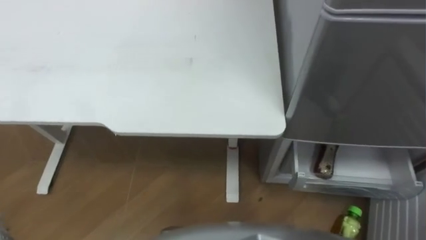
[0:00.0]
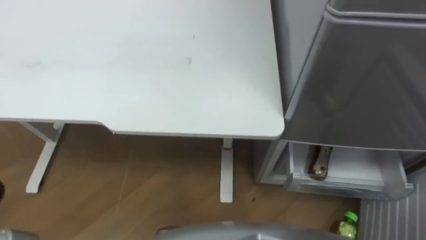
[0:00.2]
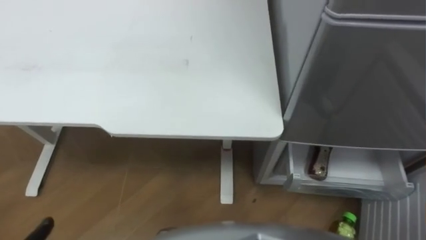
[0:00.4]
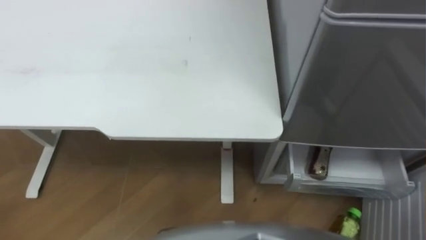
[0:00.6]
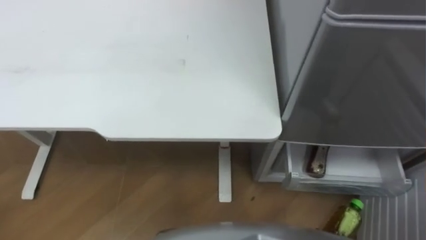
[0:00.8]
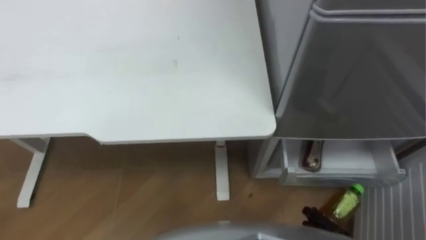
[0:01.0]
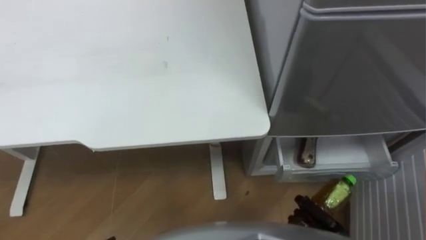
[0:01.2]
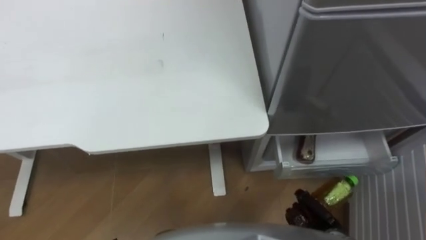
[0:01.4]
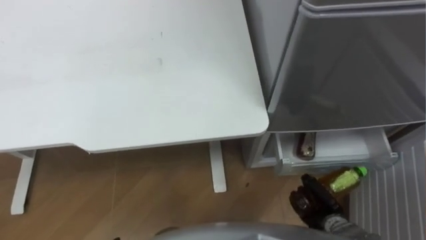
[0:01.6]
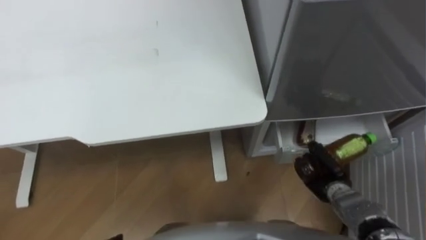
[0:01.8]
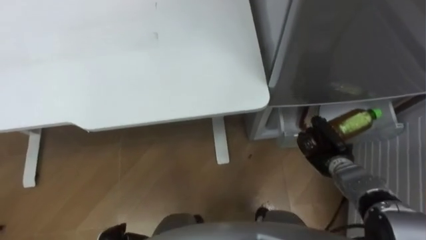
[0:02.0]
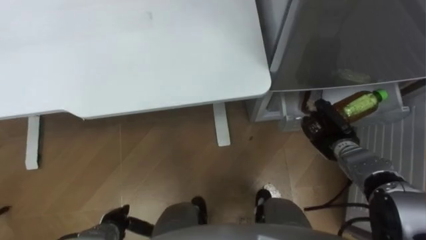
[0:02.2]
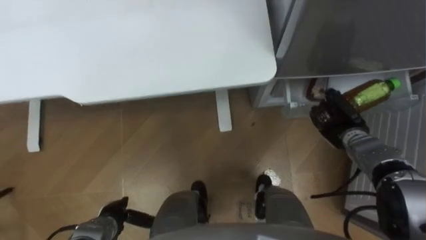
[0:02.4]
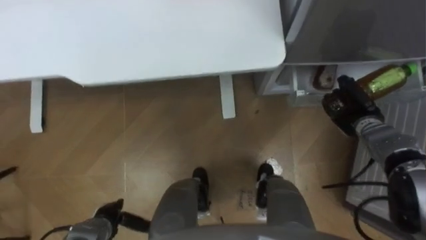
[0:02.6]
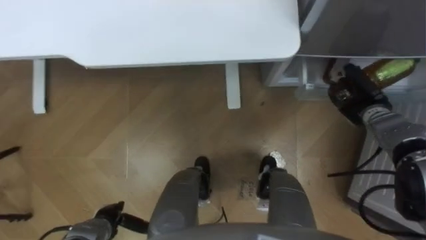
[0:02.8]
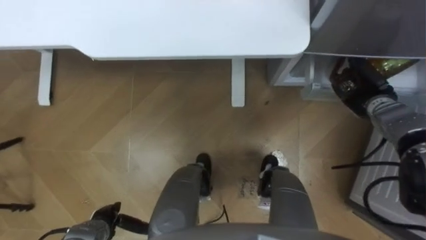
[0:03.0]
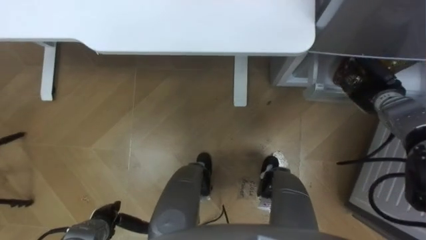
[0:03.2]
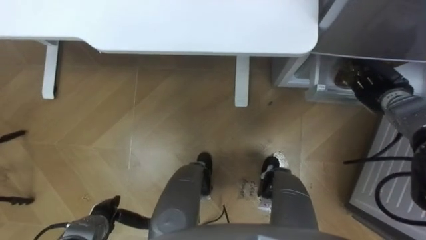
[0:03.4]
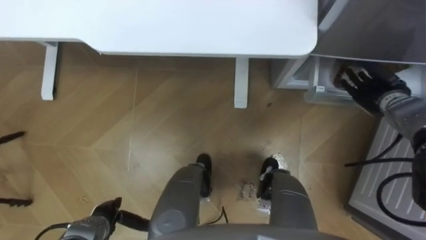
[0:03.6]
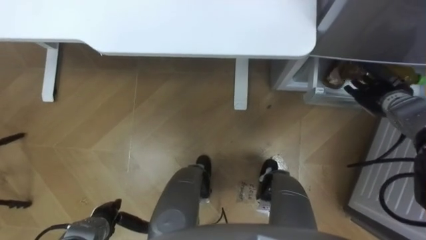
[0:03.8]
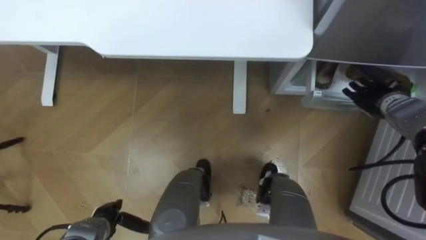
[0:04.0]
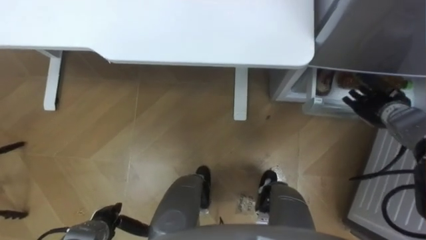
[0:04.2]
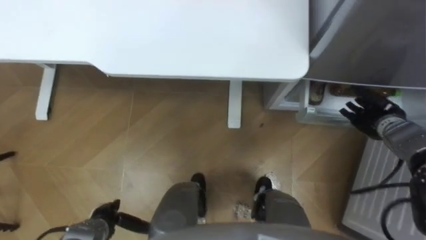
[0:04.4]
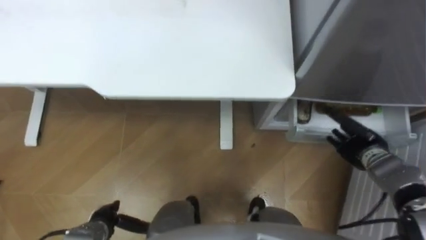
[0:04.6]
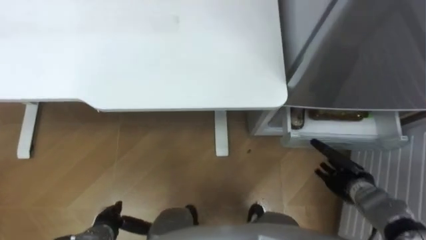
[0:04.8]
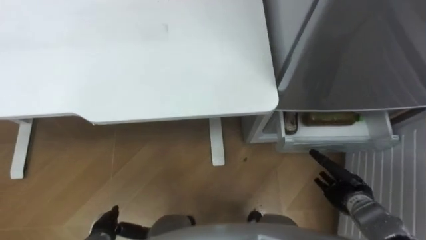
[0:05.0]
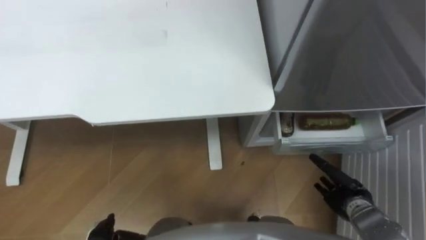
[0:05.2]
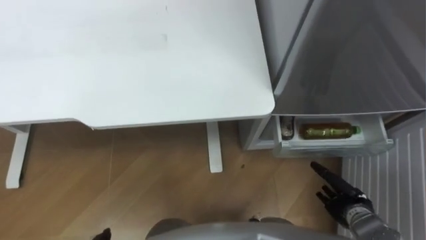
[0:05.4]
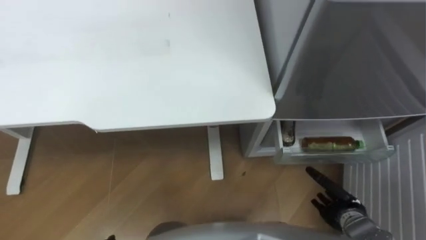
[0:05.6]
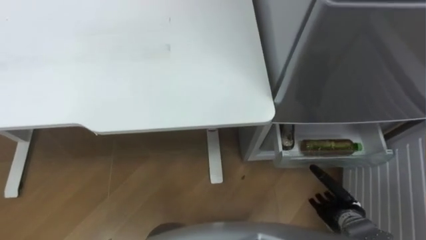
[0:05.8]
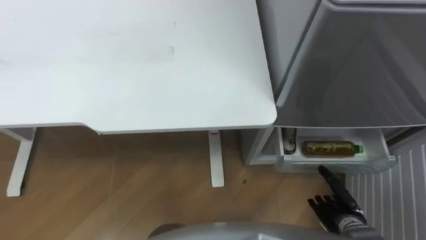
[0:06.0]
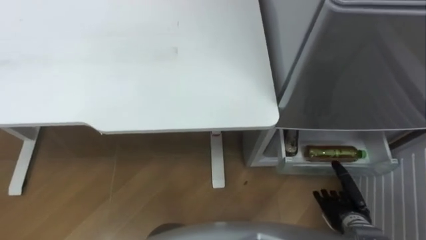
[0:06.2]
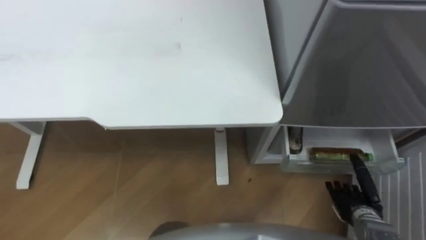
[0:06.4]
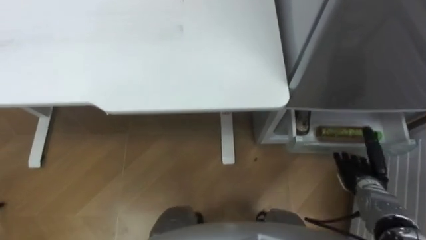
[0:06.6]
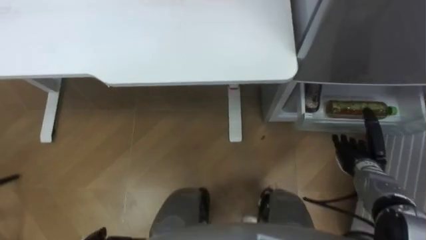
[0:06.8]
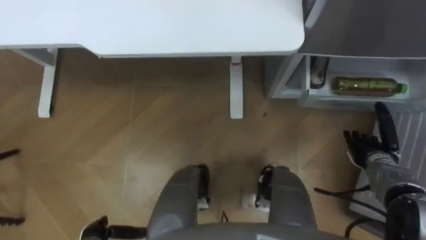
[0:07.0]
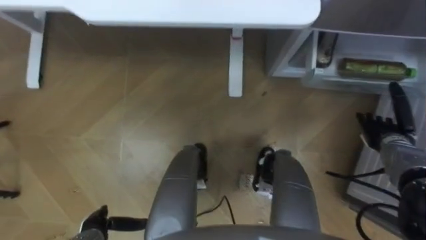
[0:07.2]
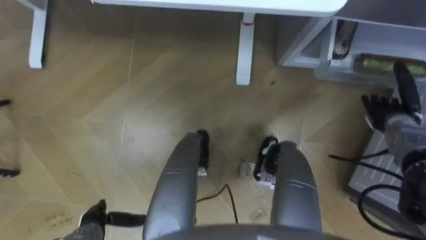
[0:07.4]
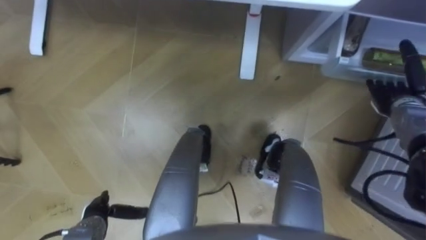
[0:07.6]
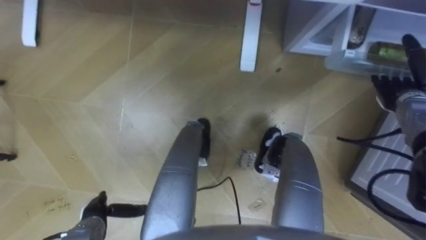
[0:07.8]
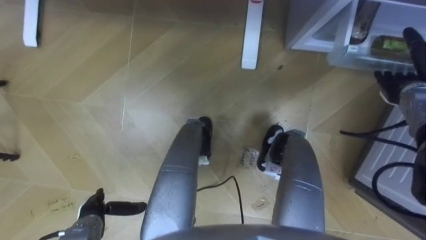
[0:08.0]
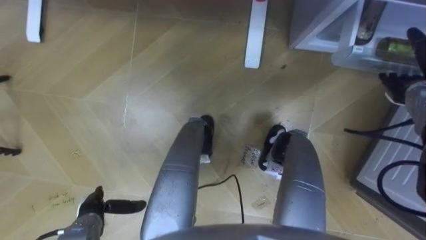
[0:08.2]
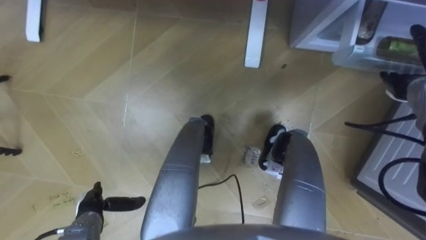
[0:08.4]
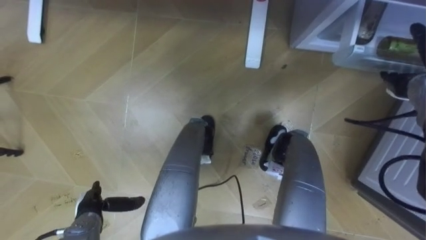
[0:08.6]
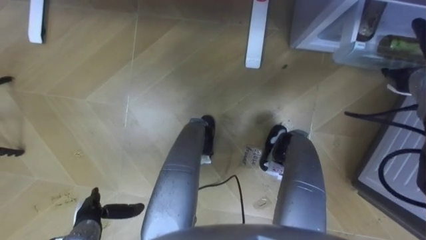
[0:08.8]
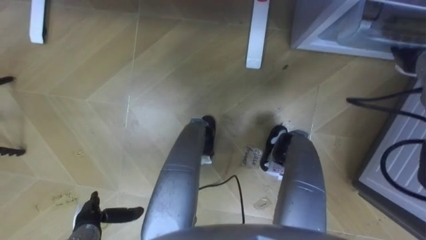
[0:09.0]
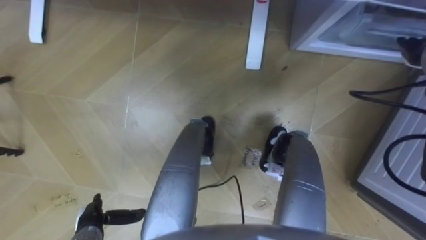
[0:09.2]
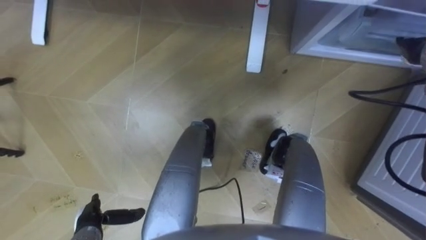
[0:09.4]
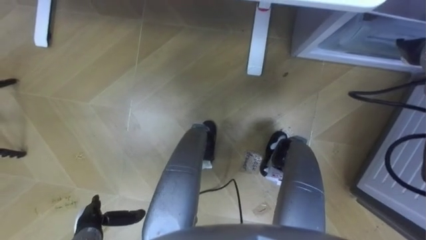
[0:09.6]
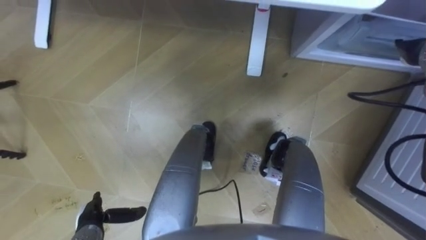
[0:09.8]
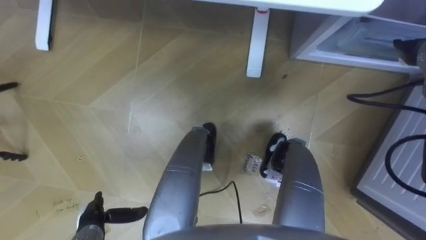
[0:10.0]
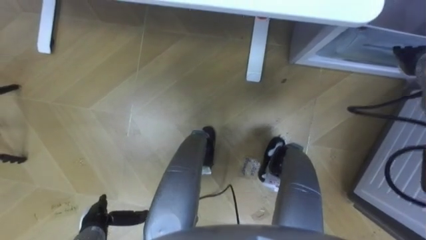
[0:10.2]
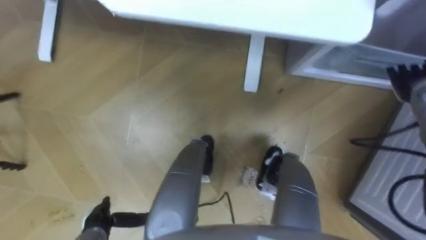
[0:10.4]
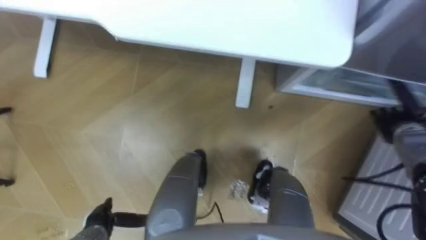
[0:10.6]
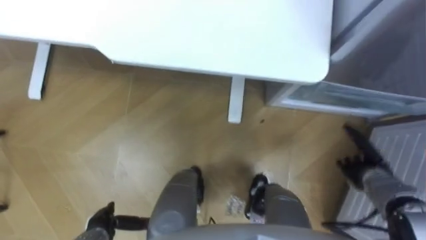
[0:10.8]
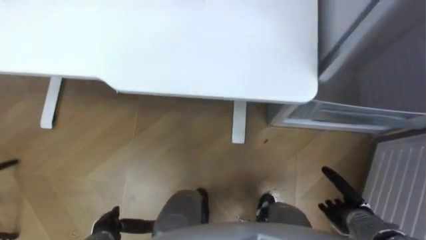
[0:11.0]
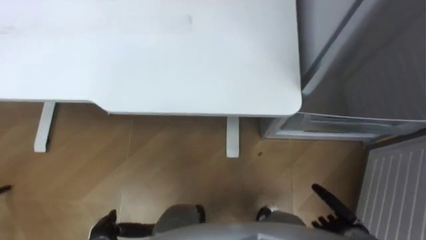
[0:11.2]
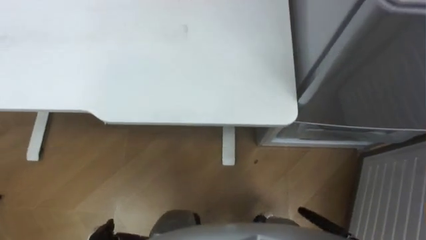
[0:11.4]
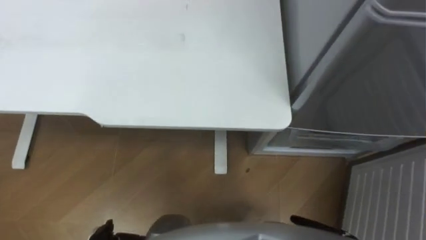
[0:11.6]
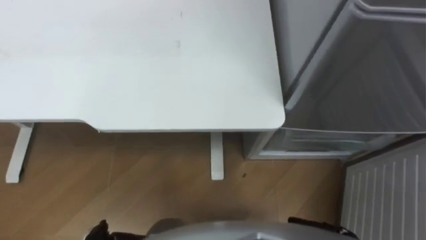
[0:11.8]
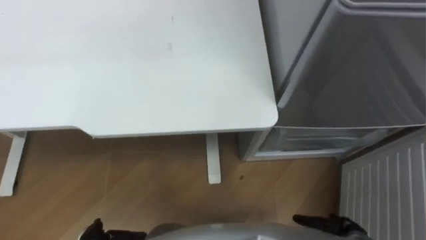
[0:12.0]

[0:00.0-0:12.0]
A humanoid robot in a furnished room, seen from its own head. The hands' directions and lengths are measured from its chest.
Task of the whole recording: Place the drink on the table on the bottom shelf of the refrigerator, then close the drawer and the refrigerator door.
0:01.6 to 0:03.0: The right hand heads forward and upward, covering some 30 cm.
0:03.0 to 0:04.4: The right hand opens.
0:04.4 to 0:06.0: The right hand moves backward and downward, approximately 25 cm.
0:06.0 to 0:07.6: The right hand heads forward, upward and to the right, covering about 30 cm.
0:07.6 to 0:09.0: The right hand goes roughly 10 cm upward.
0:09.0 to 0:10.4: The right hand moves roughly 5 cm.

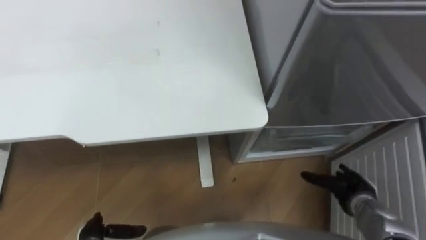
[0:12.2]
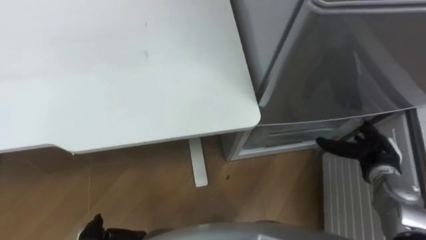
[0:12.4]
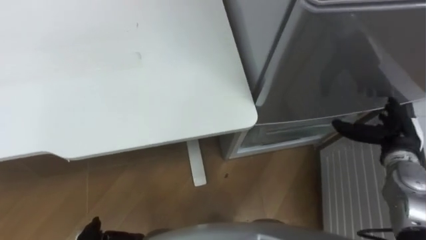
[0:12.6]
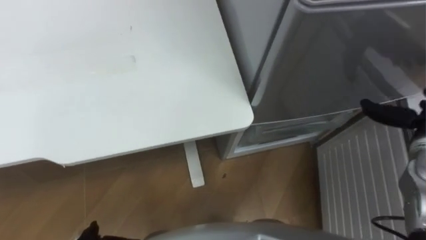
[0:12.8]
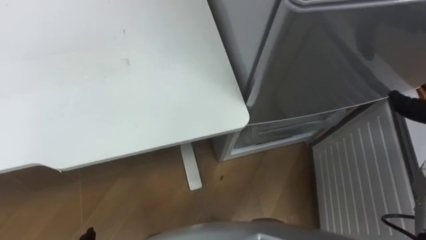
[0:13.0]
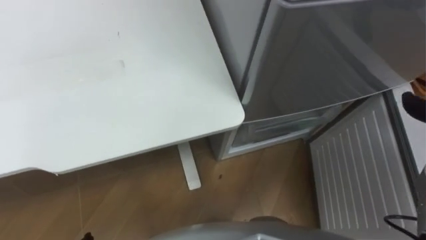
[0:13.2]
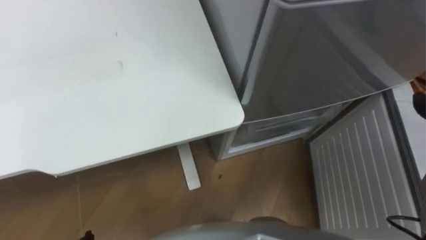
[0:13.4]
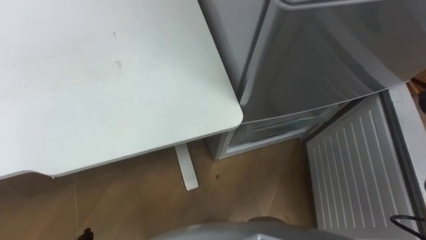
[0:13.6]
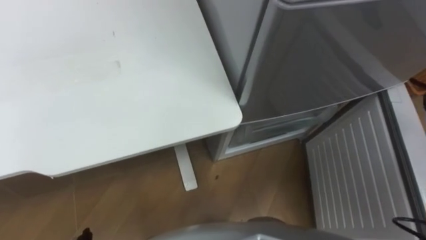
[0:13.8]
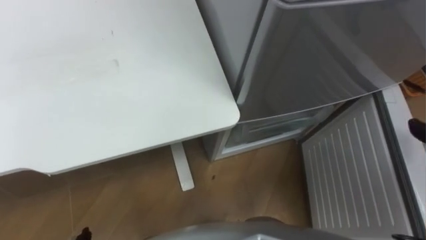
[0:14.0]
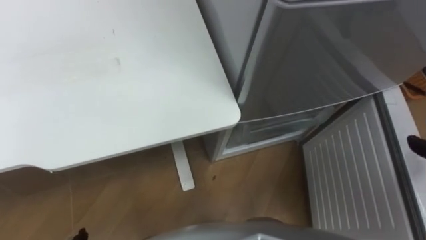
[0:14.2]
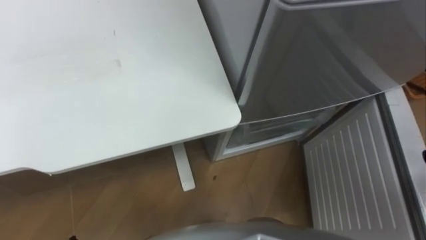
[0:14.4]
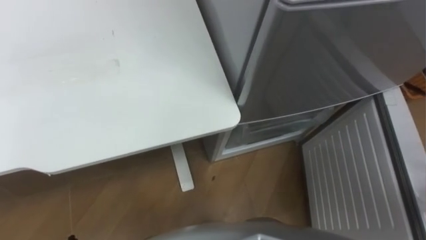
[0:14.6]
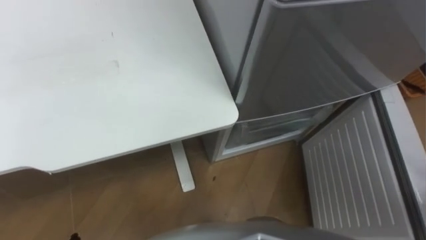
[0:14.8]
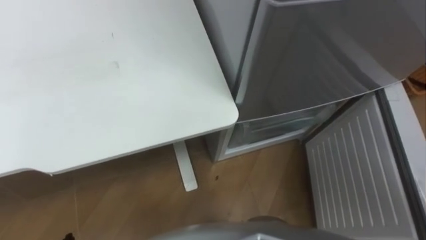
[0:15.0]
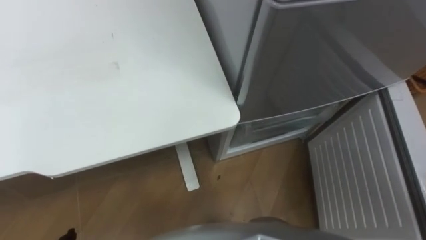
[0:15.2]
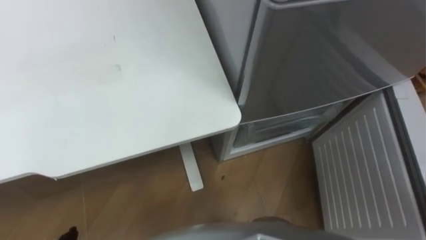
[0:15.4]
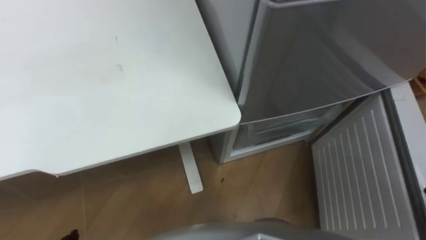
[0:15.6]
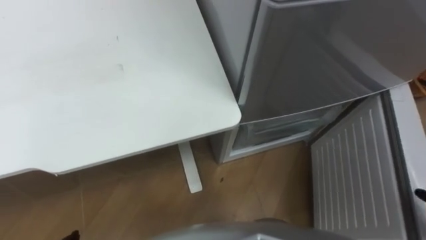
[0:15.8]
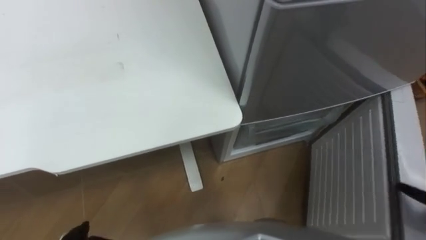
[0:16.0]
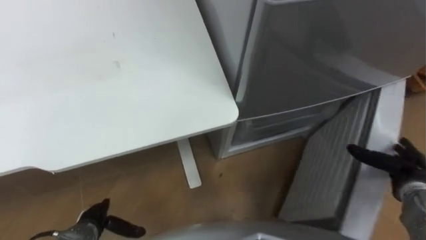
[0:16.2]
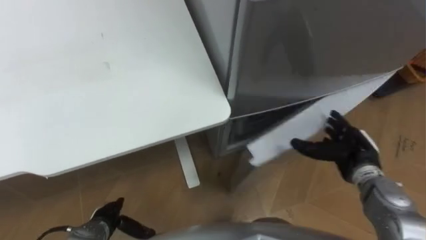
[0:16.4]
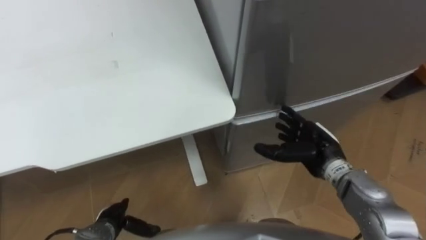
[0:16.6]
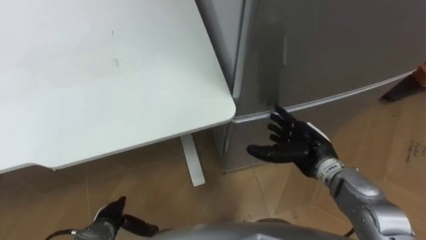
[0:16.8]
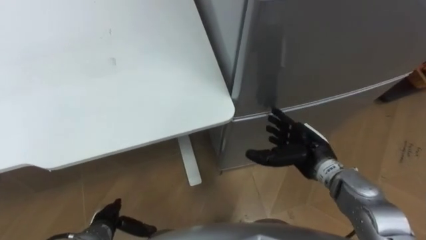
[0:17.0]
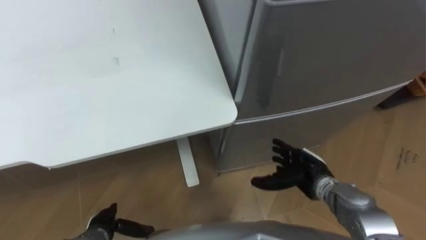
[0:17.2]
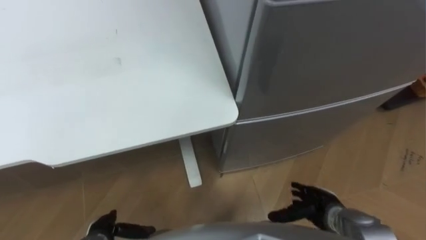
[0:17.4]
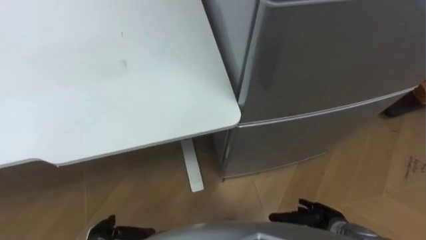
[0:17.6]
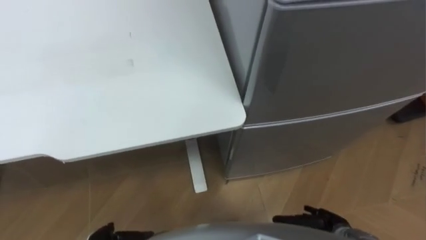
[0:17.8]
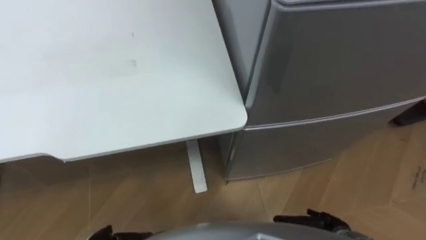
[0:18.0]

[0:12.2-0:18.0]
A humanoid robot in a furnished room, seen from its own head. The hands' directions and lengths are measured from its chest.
Task of the whole recording: Place the drink on the table on the bottom shelf of the refrigerator, then close the drawer and the refrigerator door.
0:16.6 to 0:18.0: The right hand shifts some 20 cm backward and downward.
